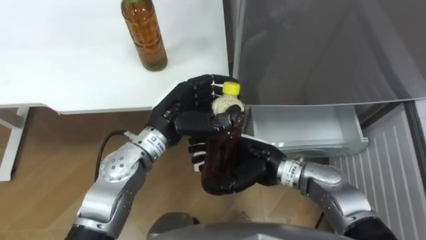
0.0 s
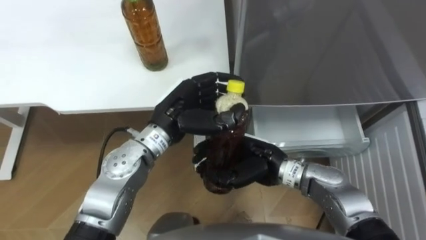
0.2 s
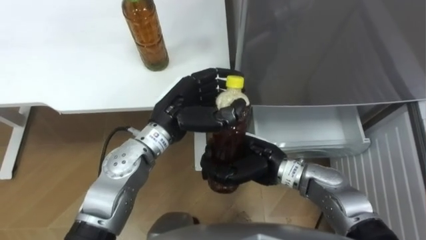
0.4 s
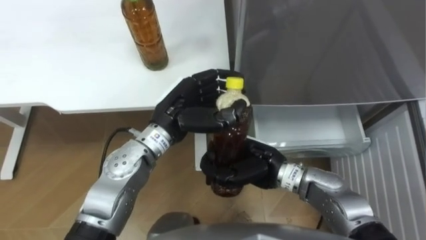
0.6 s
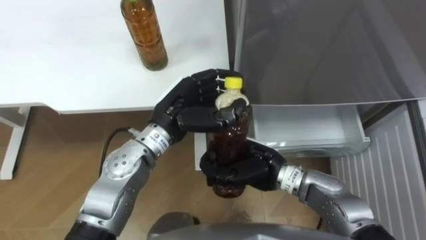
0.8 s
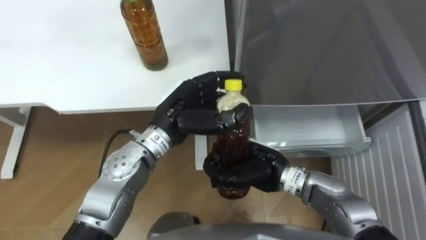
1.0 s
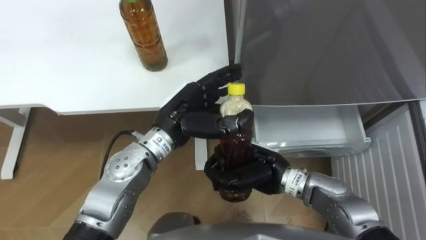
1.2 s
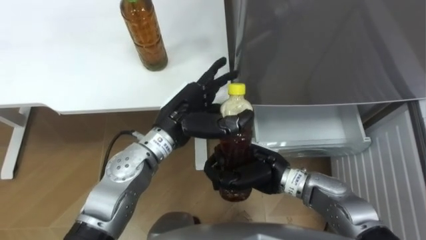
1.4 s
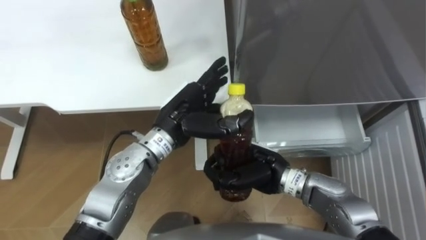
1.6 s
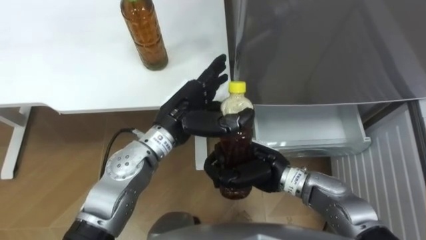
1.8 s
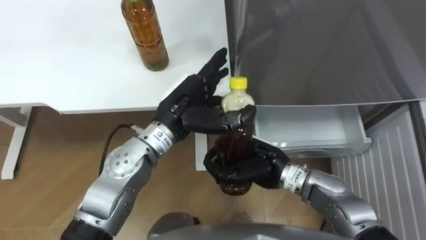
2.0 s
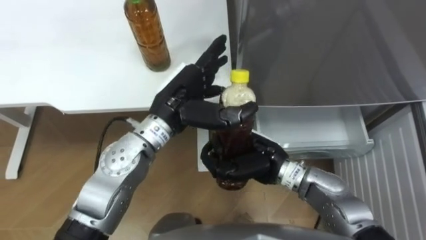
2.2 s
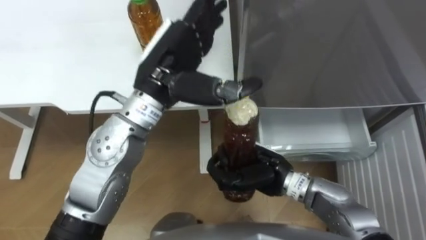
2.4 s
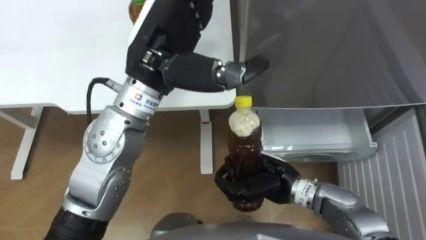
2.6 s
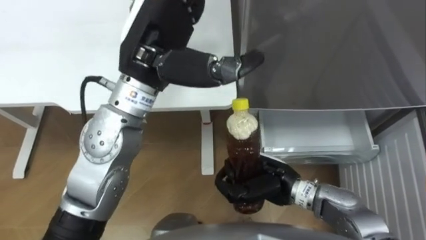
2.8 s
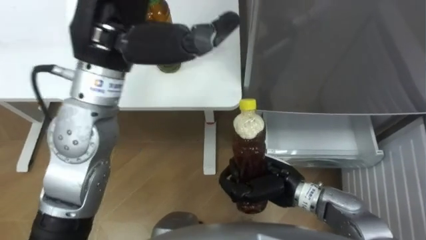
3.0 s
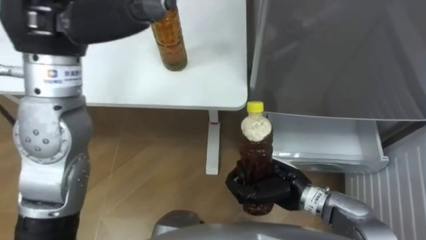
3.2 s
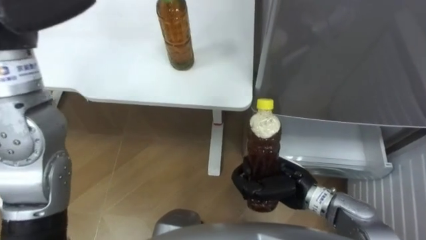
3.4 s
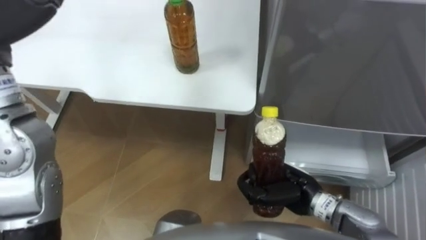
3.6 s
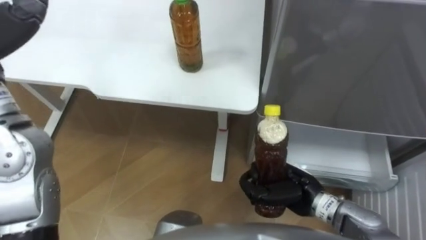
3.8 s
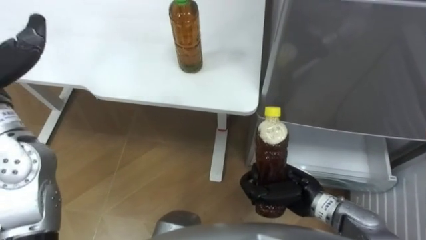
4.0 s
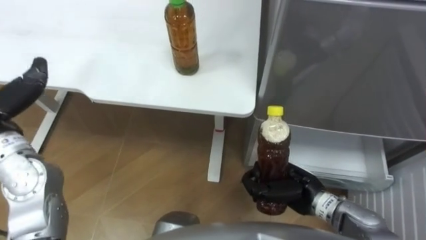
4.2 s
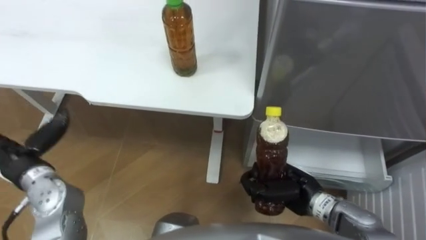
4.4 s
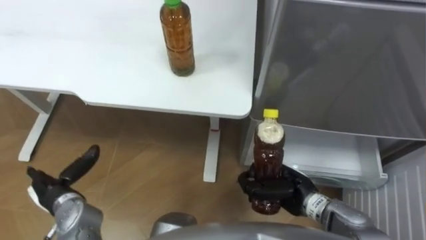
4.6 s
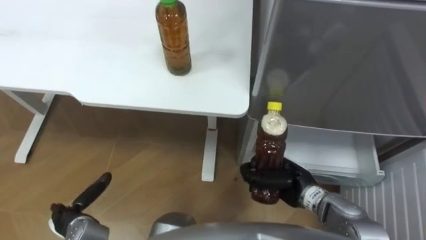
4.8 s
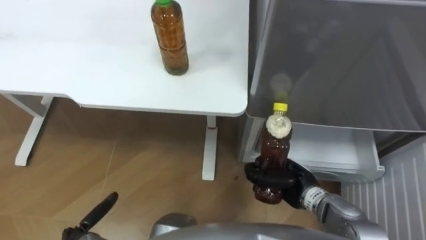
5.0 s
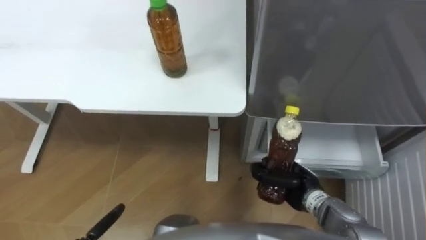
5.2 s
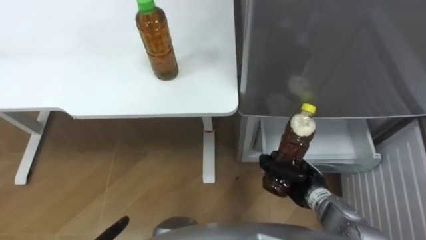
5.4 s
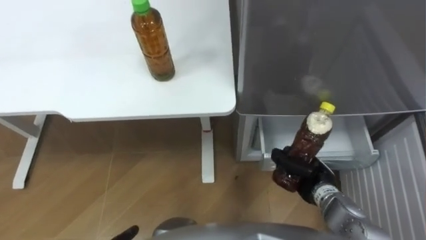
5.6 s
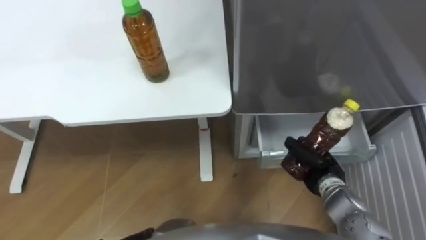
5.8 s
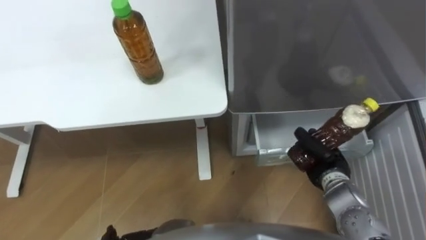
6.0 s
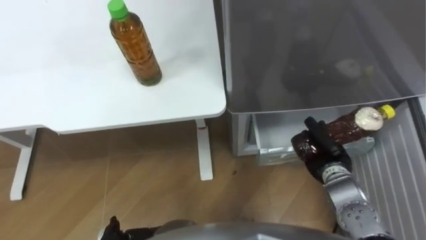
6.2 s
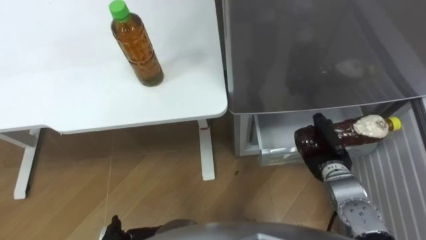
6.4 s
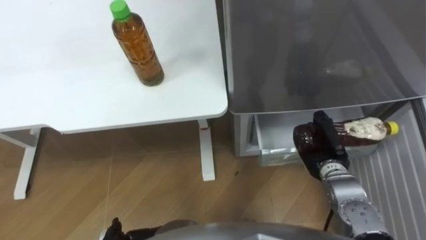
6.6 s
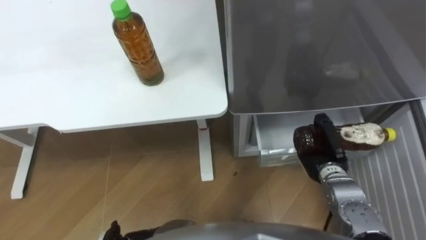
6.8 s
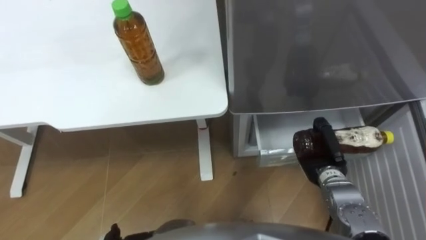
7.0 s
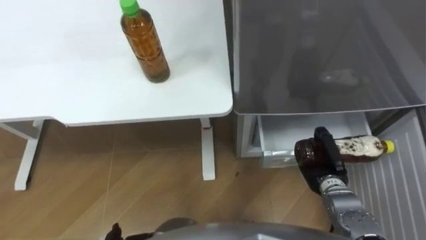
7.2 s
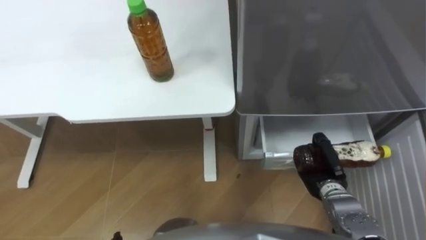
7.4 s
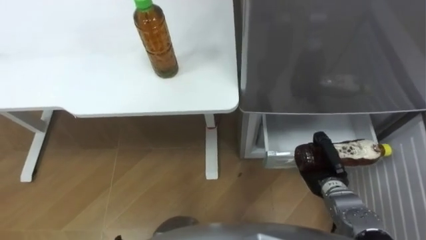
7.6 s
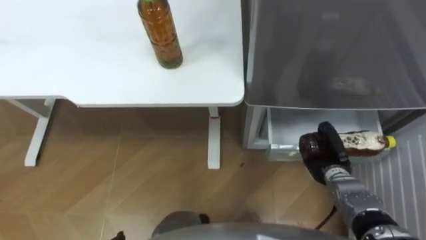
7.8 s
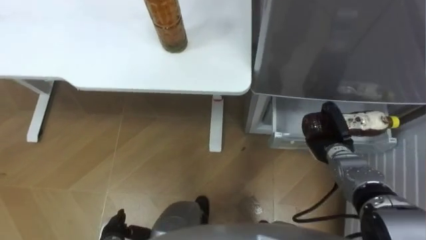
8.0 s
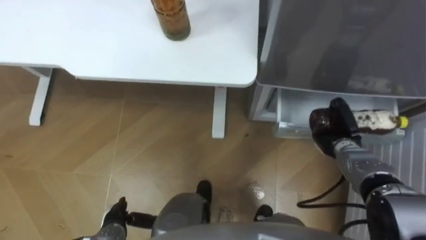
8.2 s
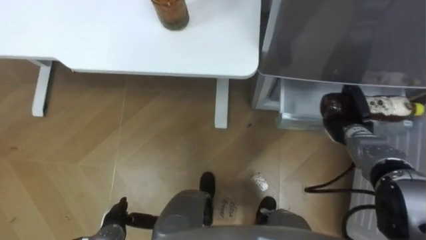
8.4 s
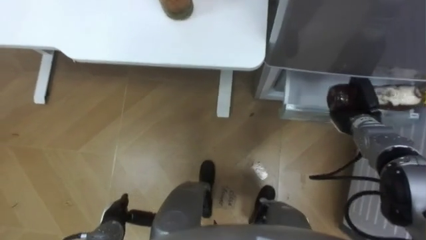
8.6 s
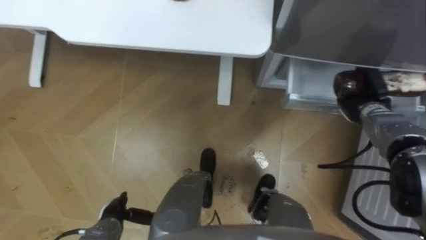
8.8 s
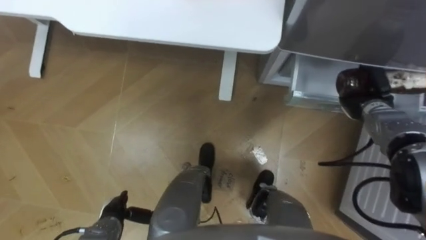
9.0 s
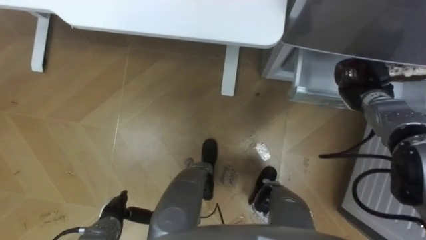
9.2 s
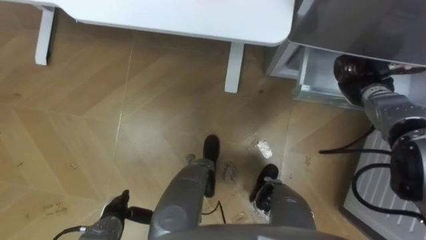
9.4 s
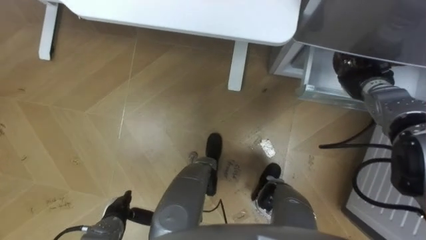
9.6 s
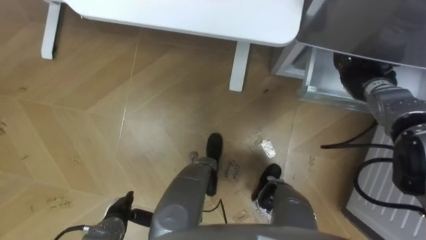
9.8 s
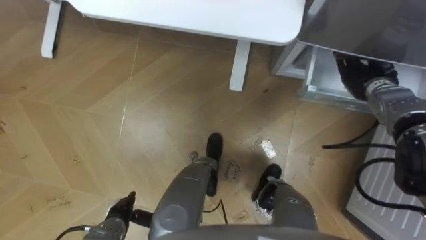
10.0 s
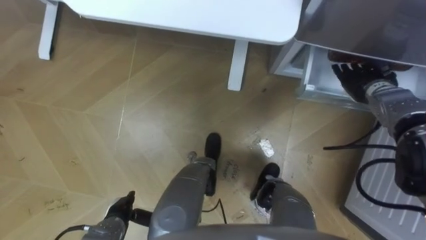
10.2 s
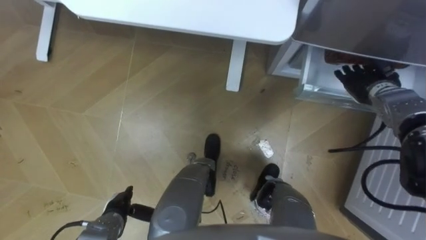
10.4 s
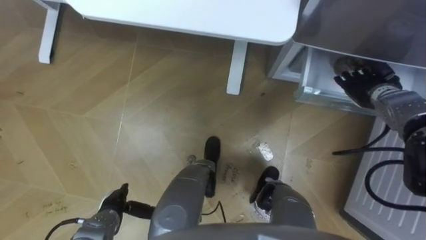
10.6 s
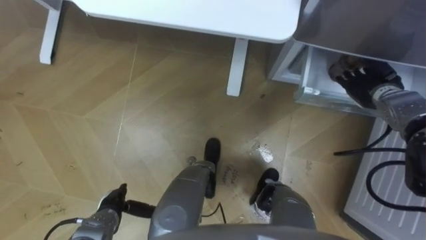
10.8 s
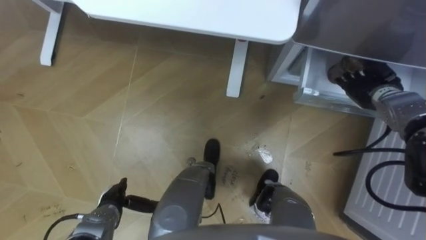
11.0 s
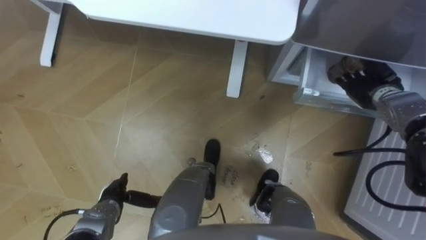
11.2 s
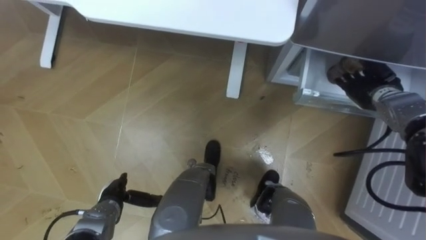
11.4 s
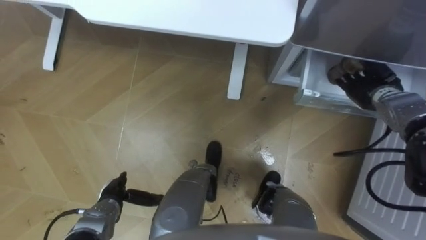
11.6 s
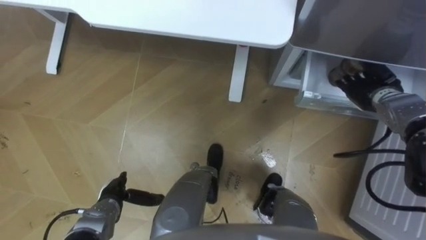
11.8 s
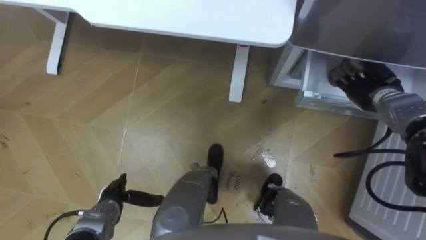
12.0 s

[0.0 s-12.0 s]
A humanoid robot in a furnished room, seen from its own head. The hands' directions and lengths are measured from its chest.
Task of the whole recording: Place the drink on the table on the bottom shelf of the refrigerator, then close the drawer and the refrigerator door.
0.0 to 1.6 s: The right hand closes. The left hand opens.
1.6 to 3.0 s: The left hand shifts about 20 cm upward.
3.0 to 4.4 s: The right hand ends up some 5 cm from where it was.
4.4 to 6.0 s: The right hand is displaced to the right by approximately 10 cm.
7.6 to 9.0 s: The right hand heads forward, upward and to the right, covering some 20 cm.
9.0 to 10.4 s: The right hand opens.

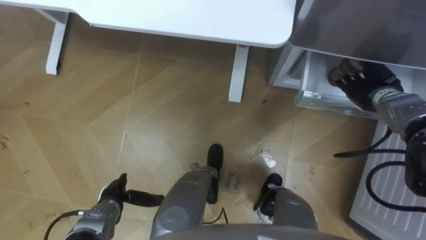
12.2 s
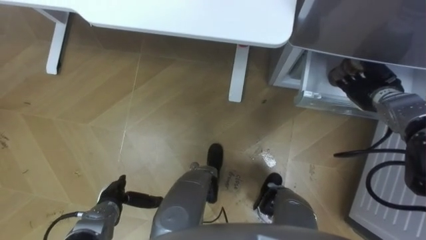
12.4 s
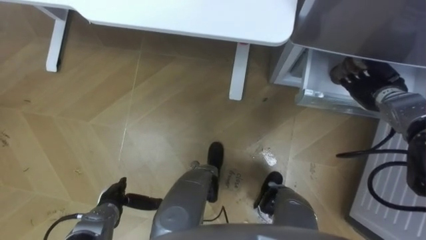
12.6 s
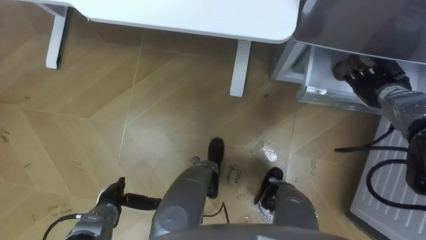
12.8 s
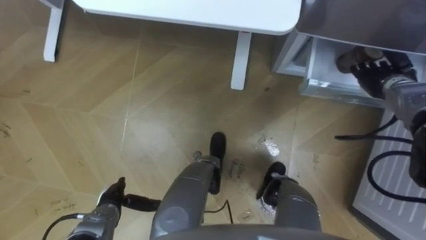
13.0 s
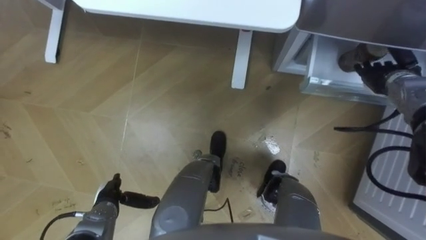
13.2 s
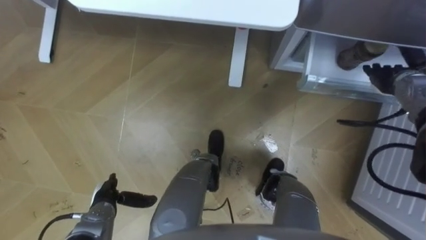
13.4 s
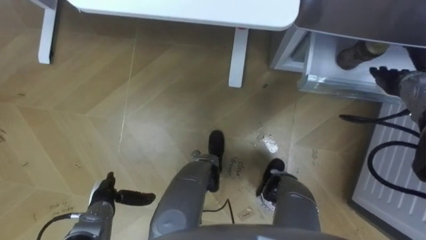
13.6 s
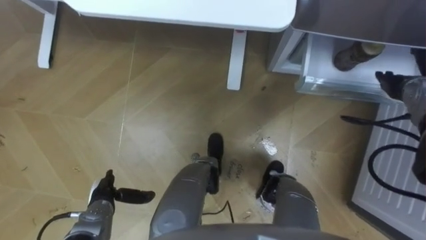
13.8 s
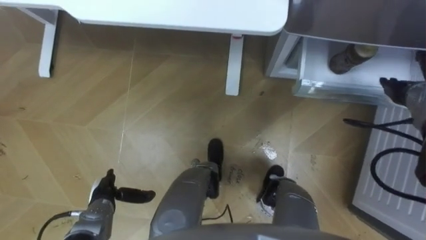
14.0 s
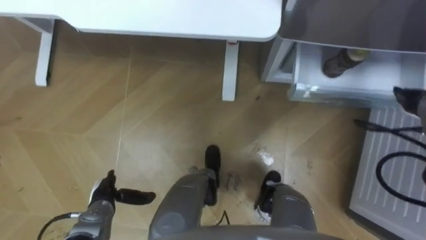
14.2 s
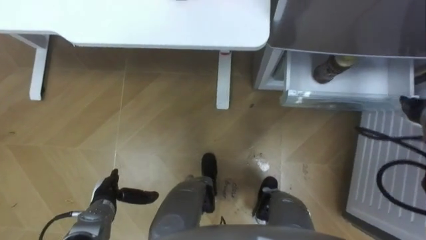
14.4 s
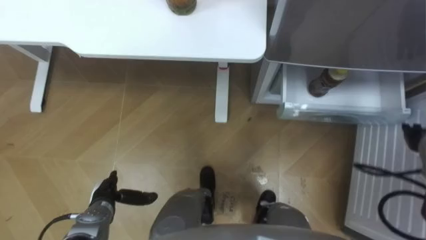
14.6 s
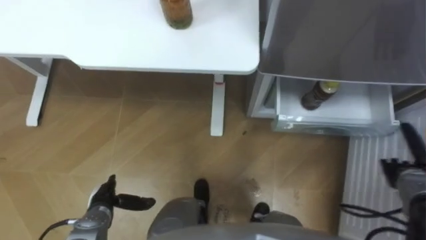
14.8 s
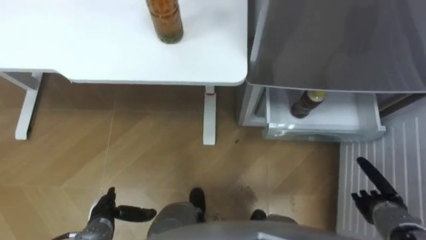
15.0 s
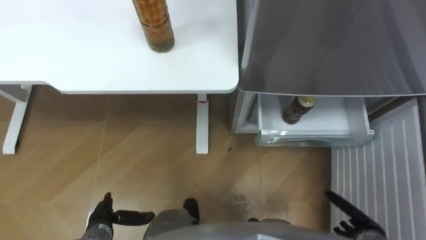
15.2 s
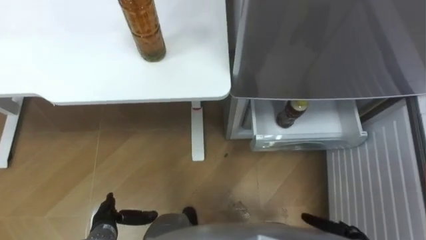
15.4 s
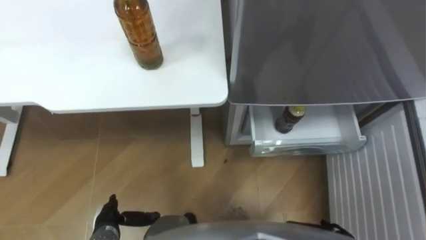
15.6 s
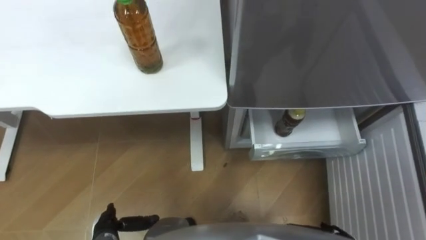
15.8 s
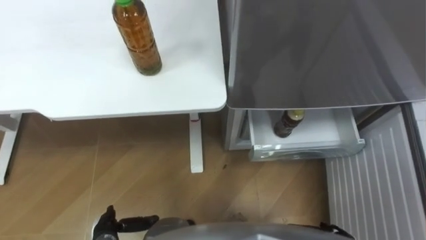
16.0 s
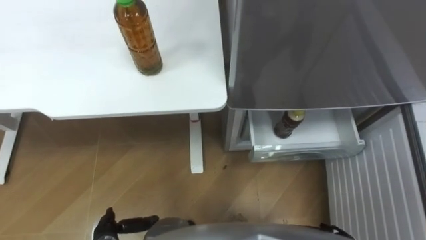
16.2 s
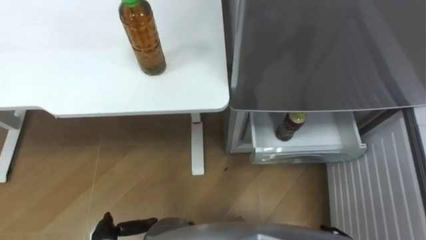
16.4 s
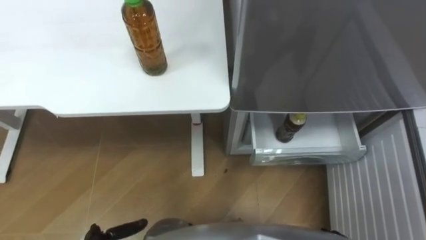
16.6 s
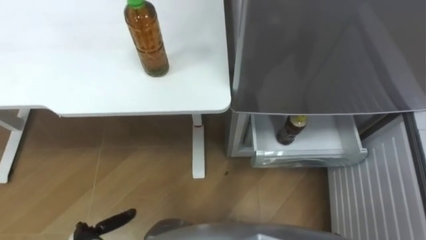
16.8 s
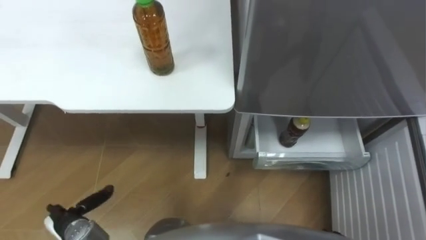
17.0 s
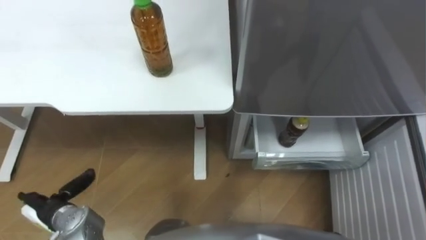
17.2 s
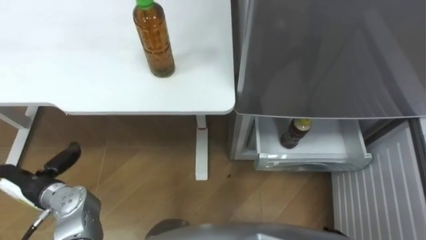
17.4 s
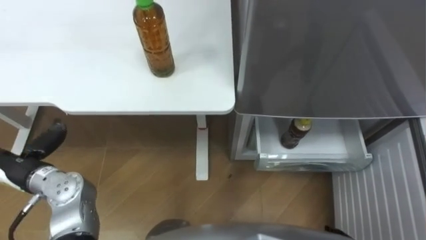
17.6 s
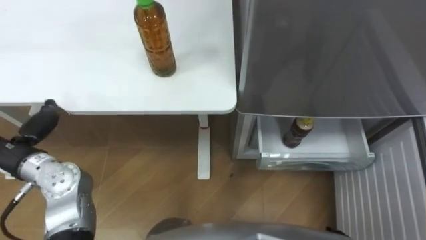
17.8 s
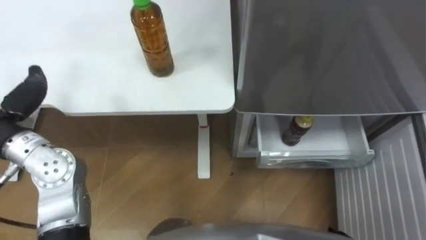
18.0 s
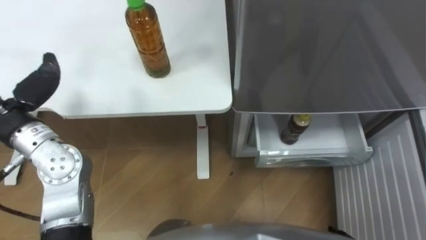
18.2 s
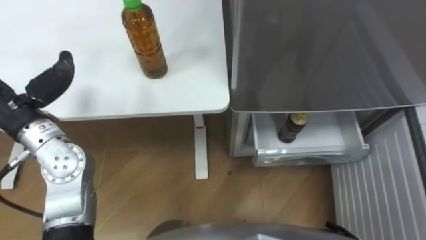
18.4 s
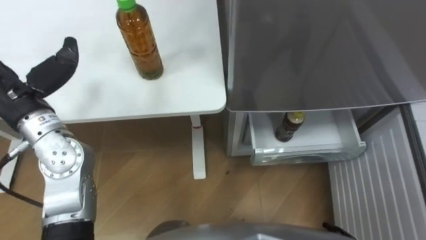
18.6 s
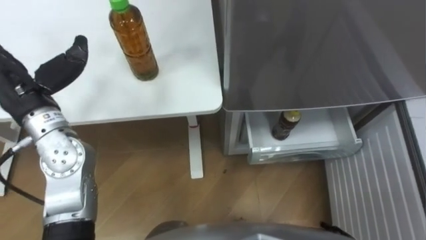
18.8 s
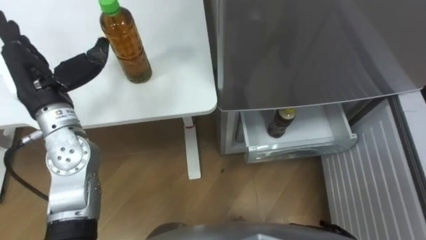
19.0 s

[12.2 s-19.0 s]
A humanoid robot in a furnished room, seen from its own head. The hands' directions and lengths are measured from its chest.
Task of the whole recording: Place the drink on the table on the bottom shelf of the refrigerator, then close the drawer and the refrigerator door.
12.2 to 13.6 s: The right hand shifts by some 5 cm.
13.6 to 15.0 s: The right hand shifts some 30 cm backward and downward.
